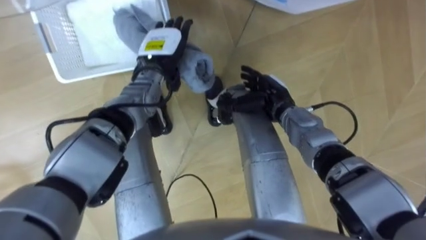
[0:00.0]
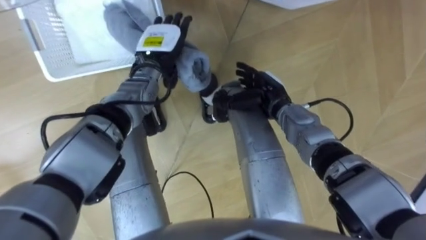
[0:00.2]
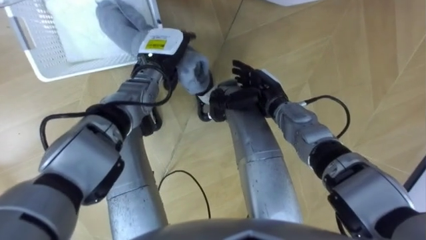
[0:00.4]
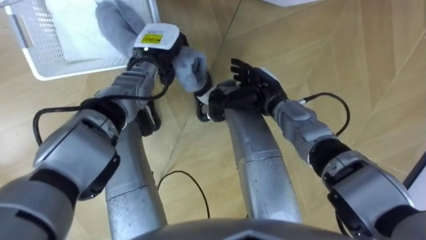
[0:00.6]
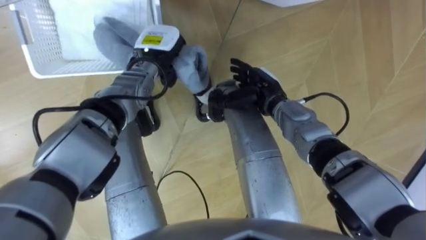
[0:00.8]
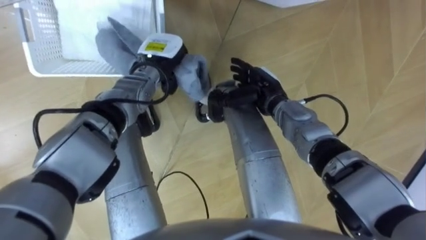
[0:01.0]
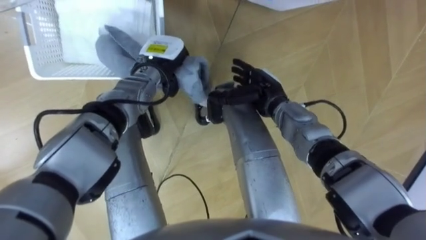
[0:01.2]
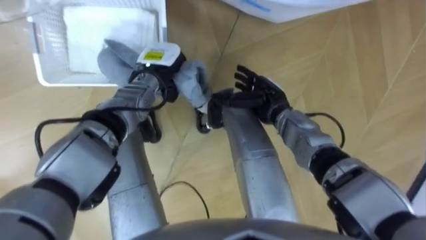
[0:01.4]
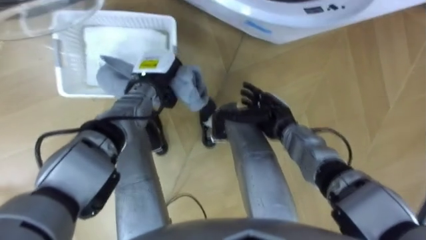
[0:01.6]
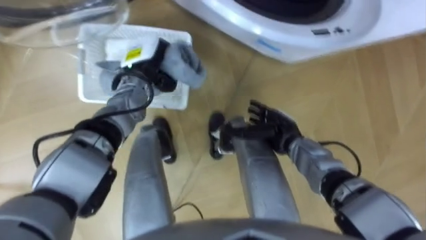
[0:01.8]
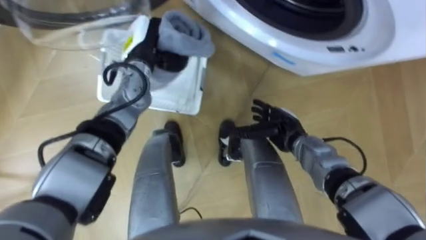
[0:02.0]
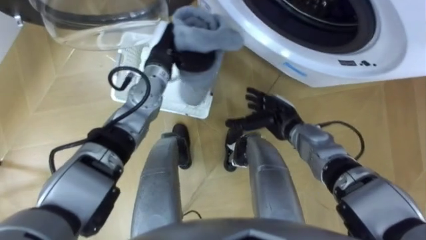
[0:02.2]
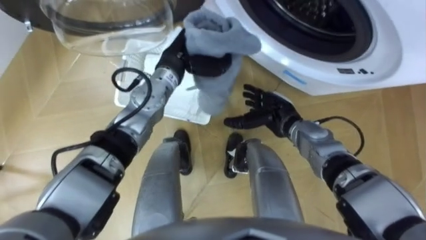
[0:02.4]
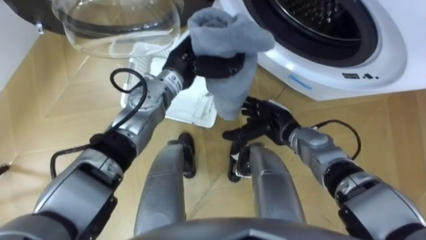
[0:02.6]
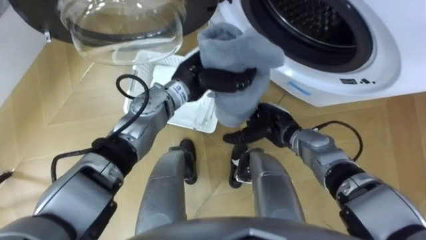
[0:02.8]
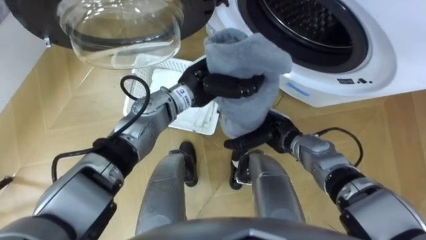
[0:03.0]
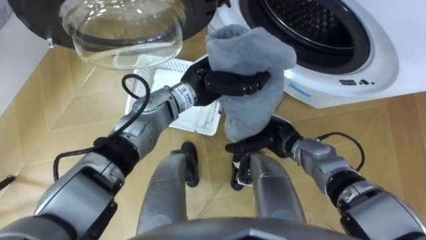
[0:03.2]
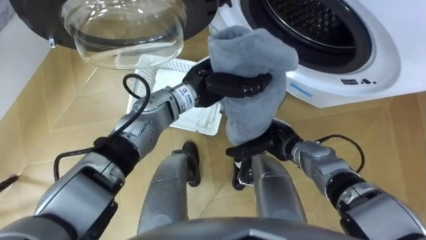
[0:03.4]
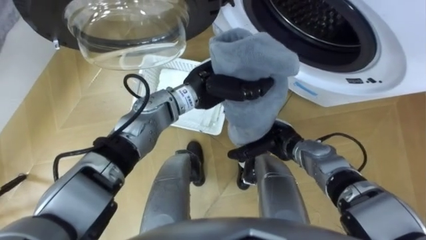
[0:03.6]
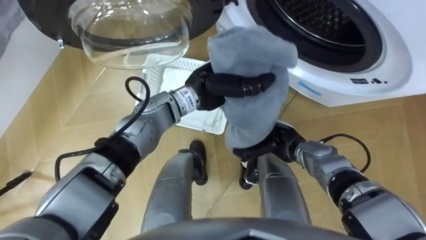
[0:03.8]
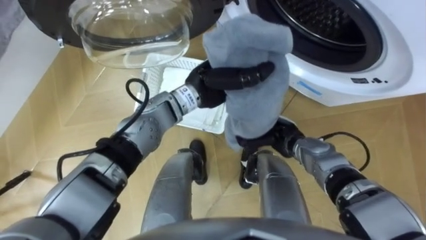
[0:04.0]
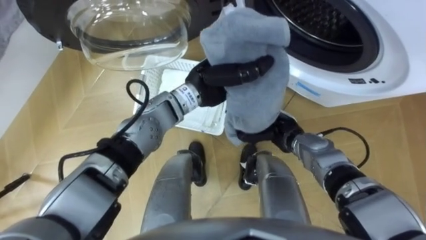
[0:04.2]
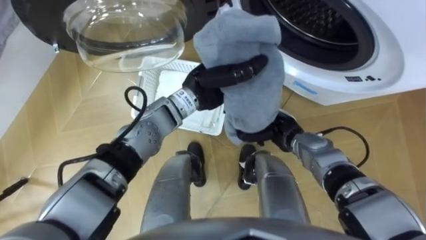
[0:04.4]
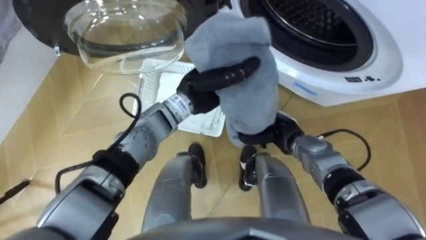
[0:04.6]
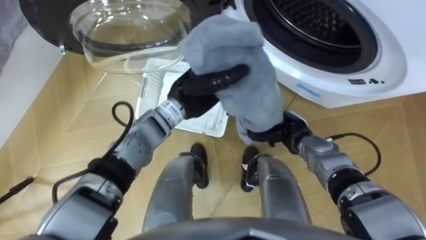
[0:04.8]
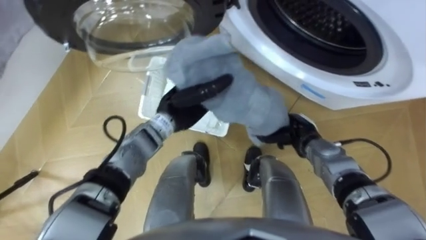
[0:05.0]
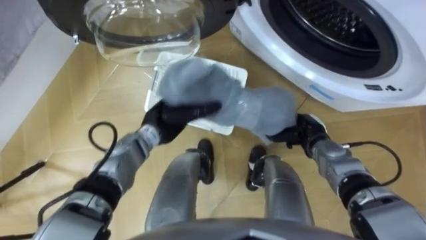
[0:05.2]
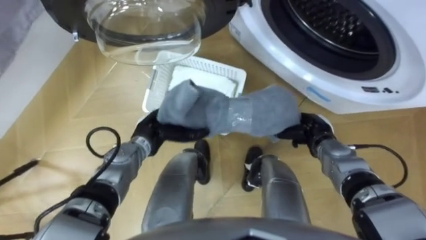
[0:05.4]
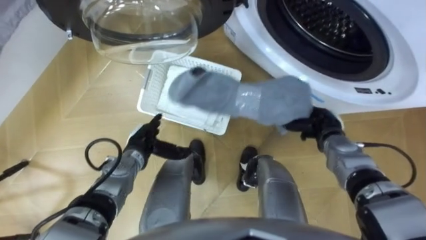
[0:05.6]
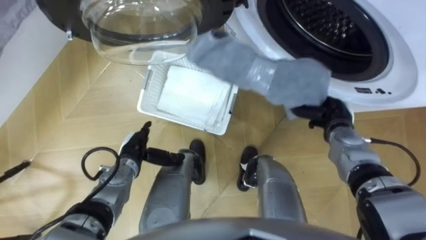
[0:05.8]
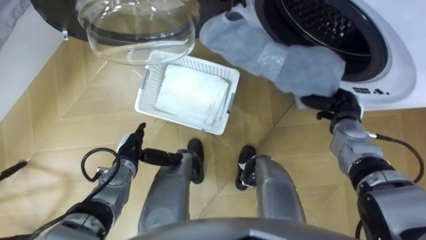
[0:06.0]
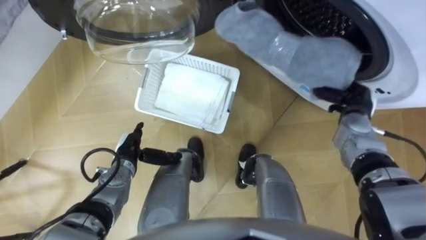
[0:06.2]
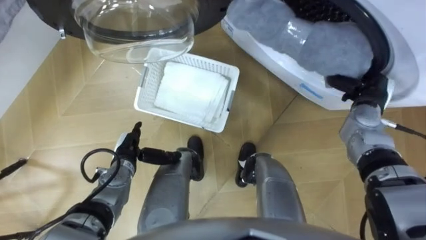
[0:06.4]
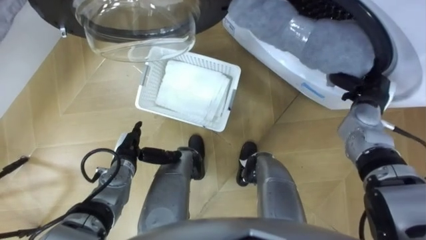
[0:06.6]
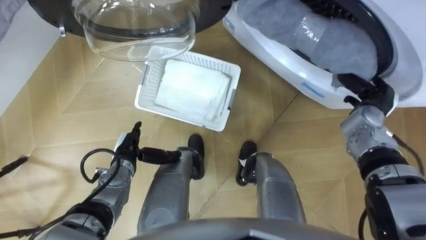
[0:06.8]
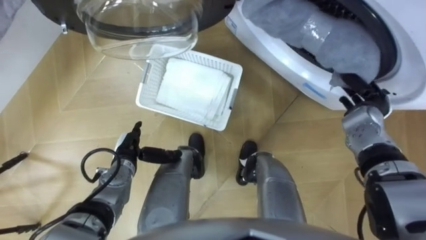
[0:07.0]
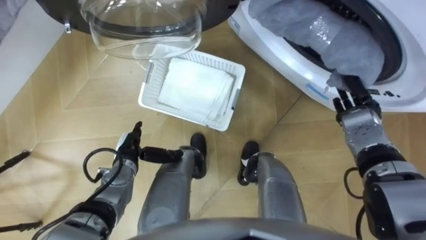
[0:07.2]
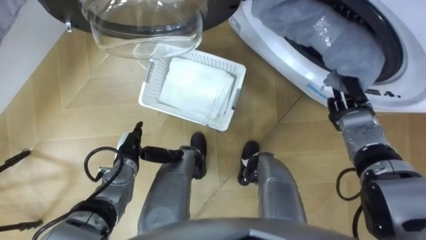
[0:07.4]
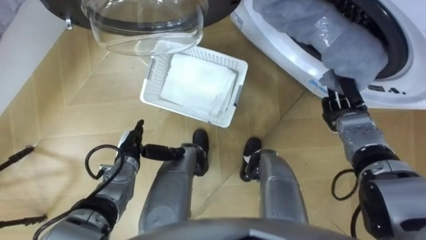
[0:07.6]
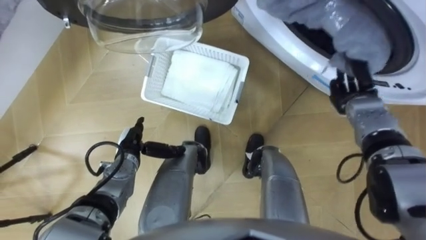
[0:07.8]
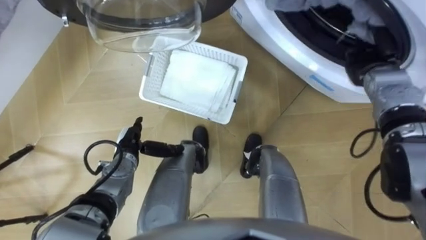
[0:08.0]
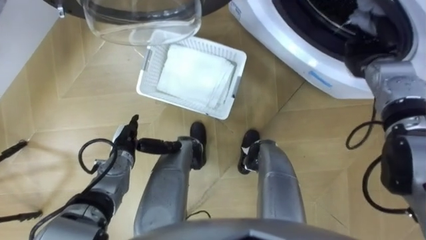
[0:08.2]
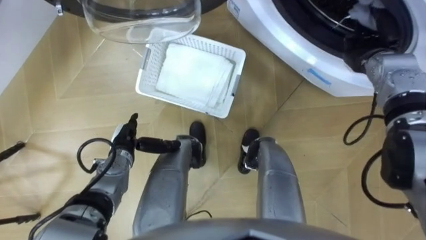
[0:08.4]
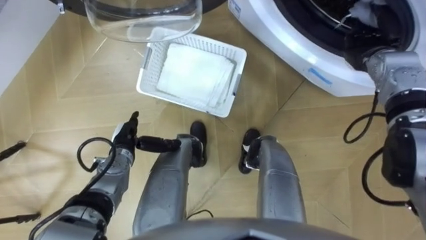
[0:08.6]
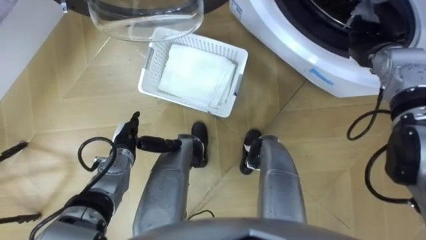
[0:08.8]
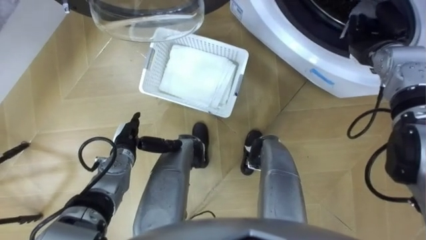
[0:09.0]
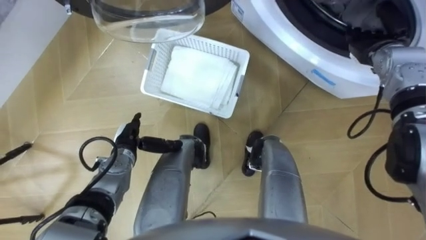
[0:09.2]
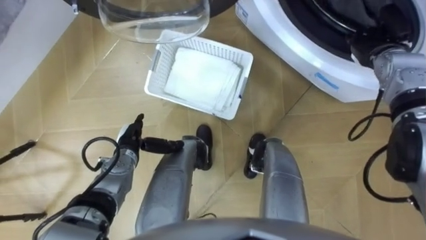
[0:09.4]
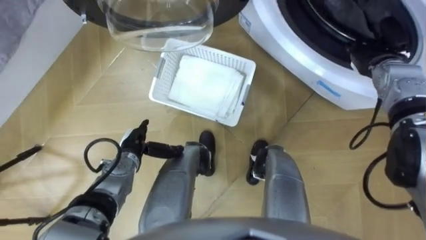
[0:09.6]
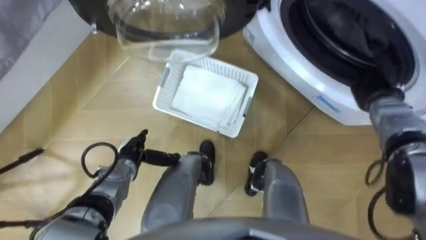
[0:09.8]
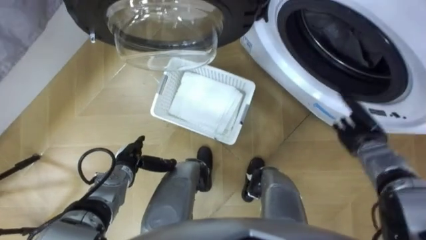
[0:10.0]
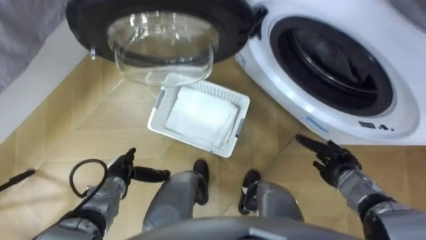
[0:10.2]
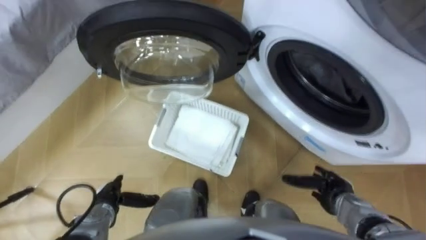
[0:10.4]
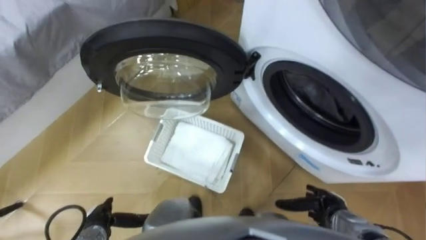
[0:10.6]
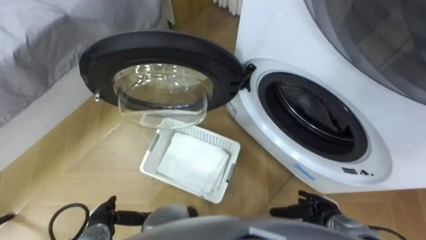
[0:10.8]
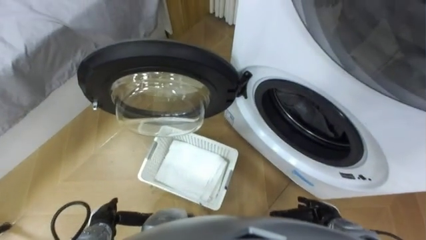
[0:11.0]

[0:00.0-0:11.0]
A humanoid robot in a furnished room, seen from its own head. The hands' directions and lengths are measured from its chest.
Task of the whole recording: Take the towel from the basket and put it into the washing machine.
0:00.0 to 0:01.6: The left hand changes place by about 5 cm, and closes its fingers.
0:01.6 to 0:03.2: The left hand moves to the right and upward, about 15 cm.
0:03.2 to 0:04.8: The right hand closes its fingers.
0:04.8 to 0:06.2: The right hand shifts approximately 15 cm to the right and upward. Meanwhile the left hand moves to the left, downward and backward, about 25 cm, and opens its fingers.
0:07.8 to 0:09.4: The right hand is displaced upward and forward by about 10 cm, and opens up.
0:09.4 to 0:11.0: The right hand shifts approximately 40 cm backward and downward, while the left hand heads backward, covering roughly 15 cm.

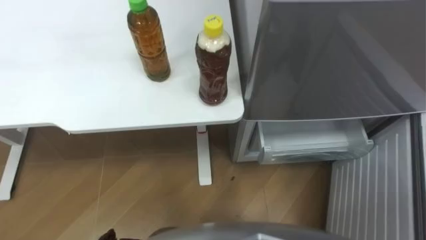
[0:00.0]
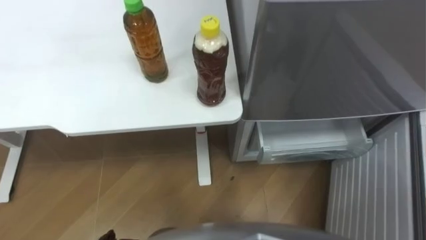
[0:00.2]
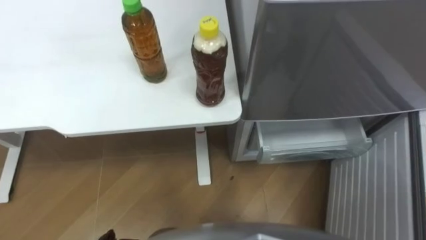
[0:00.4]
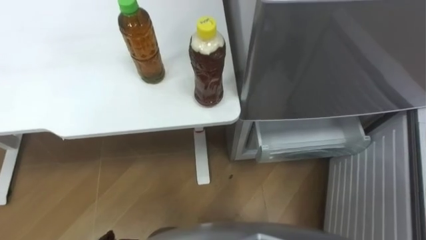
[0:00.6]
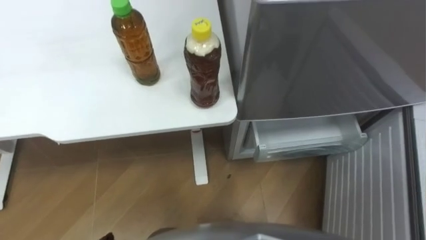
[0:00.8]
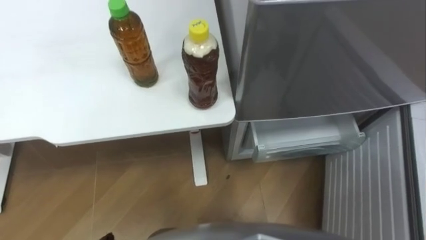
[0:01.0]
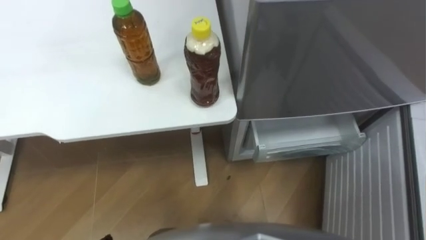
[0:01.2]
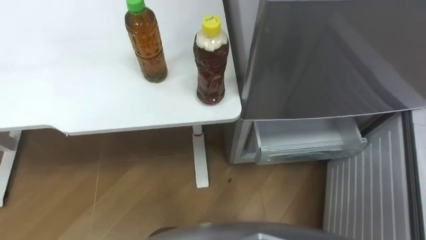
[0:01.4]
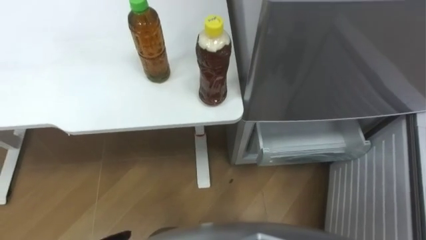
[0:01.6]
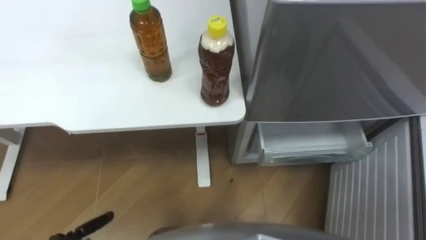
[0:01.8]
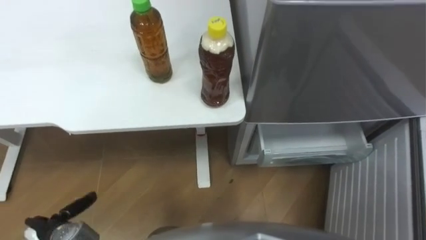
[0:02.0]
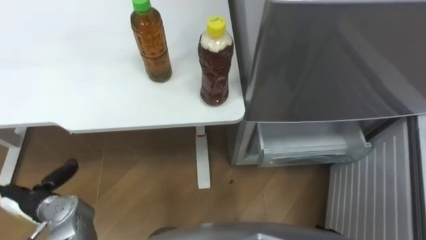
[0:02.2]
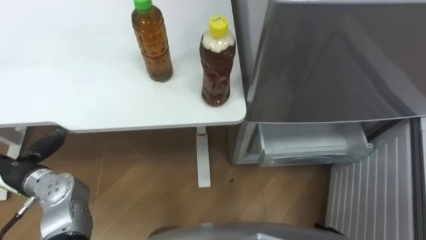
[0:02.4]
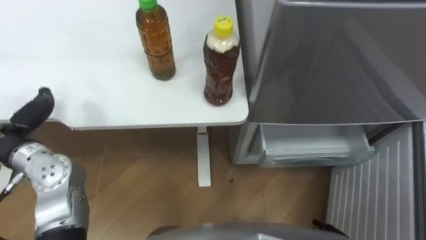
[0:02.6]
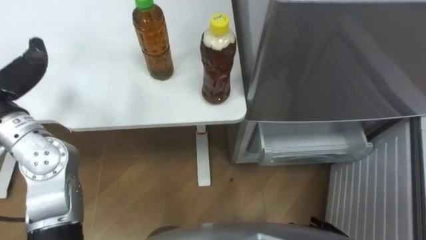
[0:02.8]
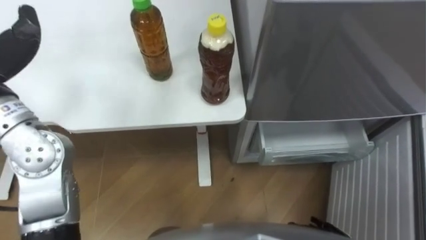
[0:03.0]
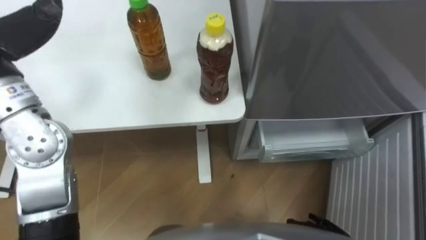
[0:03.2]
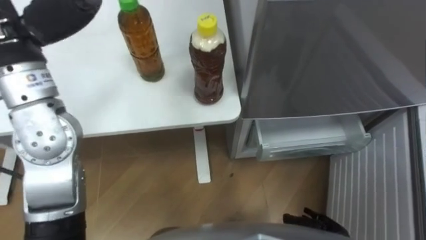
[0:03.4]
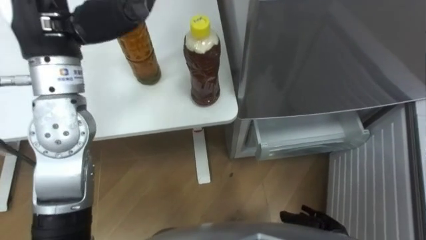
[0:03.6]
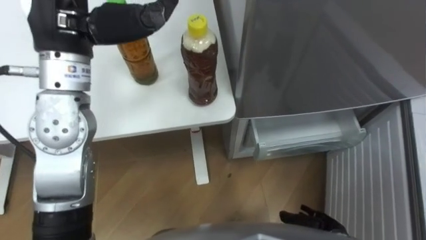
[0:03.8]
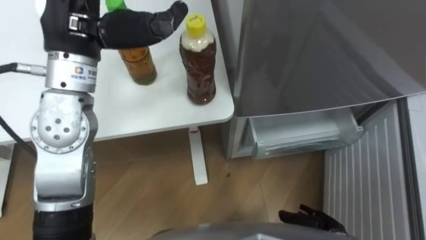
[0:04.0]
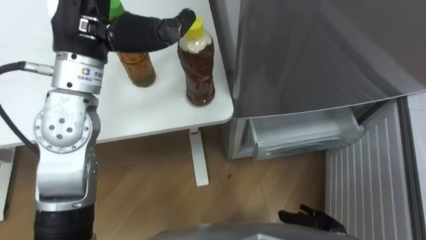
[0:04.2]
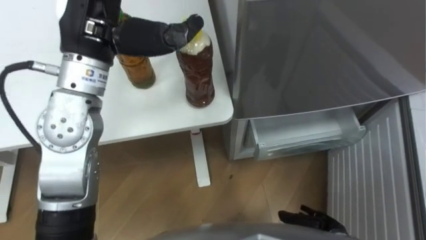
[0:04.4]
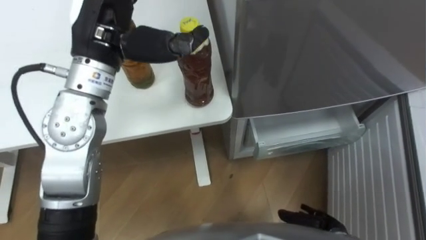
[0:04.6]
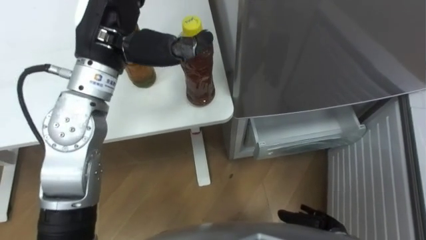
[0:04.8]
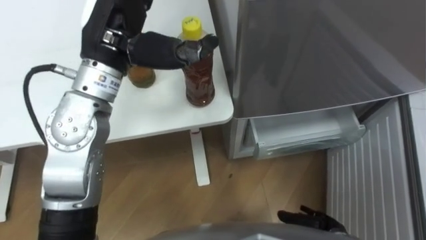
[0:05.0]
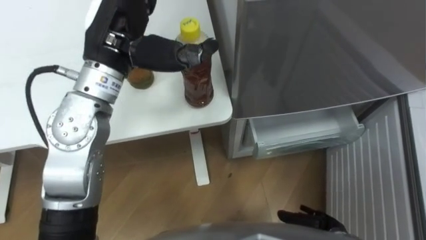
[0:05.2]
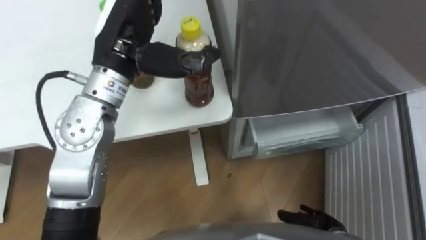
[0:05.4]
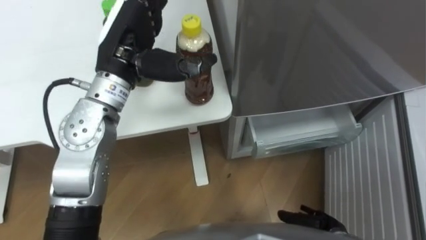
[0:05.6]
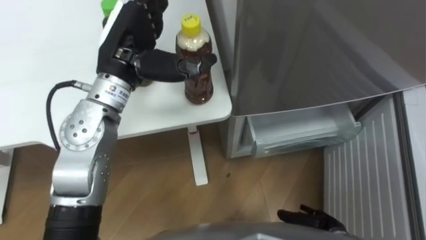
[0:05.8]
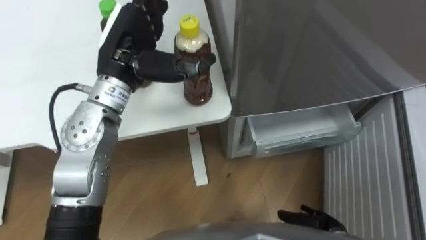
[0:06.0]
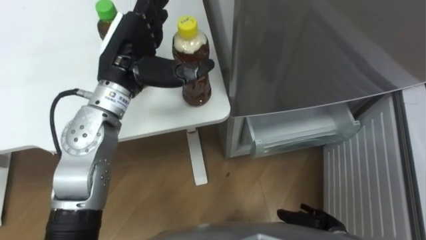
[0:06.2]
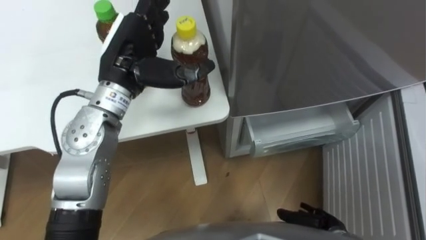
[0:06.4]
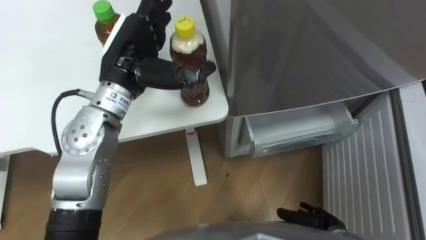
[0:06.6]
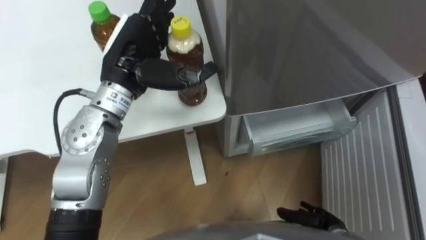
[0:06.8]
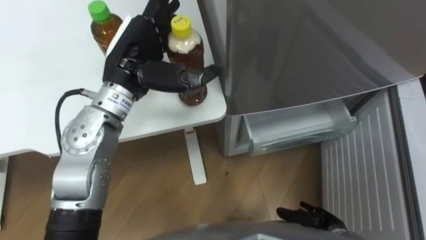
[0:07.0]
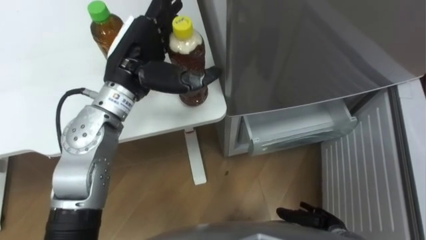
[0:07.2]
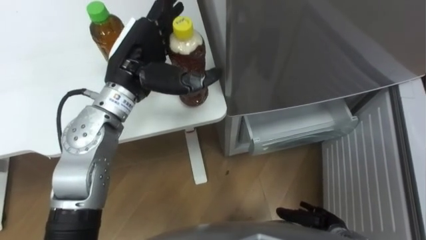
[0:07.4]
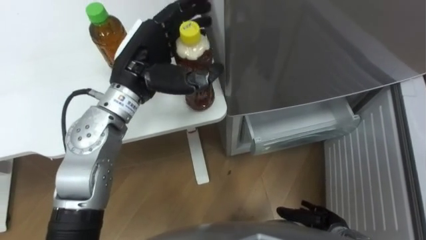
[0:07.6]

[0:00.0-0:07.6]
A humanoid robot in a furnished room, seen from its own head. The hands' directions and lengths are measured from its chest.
Task of the whole recording: Place the drink on the table on the bottom shelf of the refrigerator, then close the drawer and the refrigerator door.
0:04.6 to 0:06.0: The left hand is displaced downward by about 5 cm.
